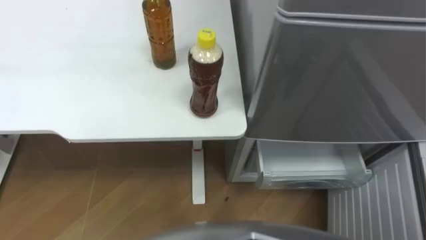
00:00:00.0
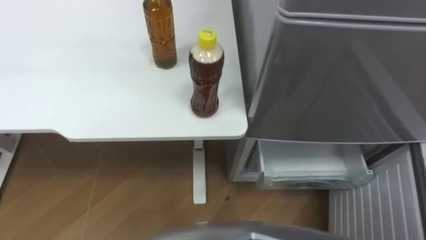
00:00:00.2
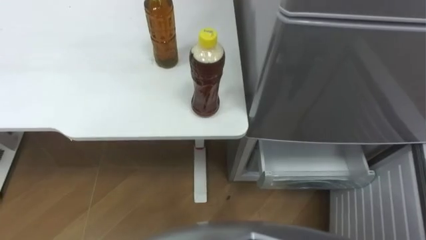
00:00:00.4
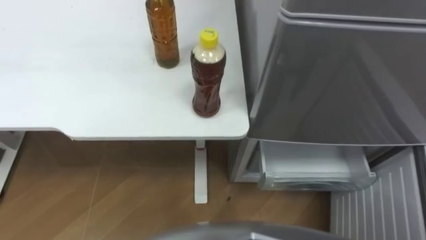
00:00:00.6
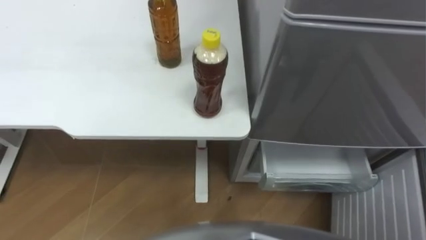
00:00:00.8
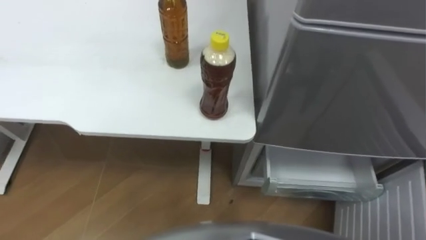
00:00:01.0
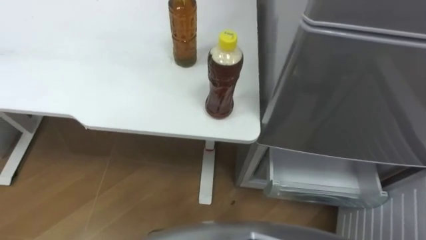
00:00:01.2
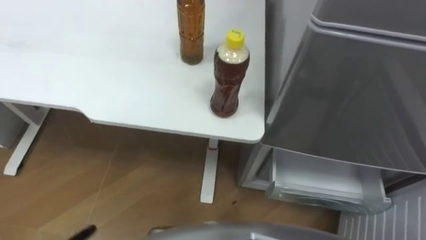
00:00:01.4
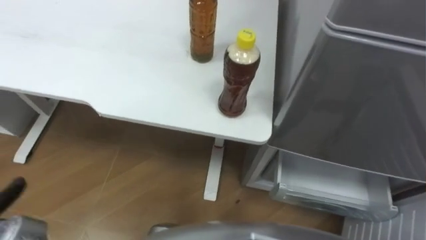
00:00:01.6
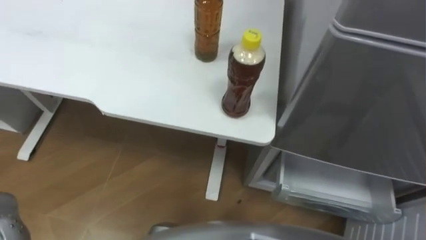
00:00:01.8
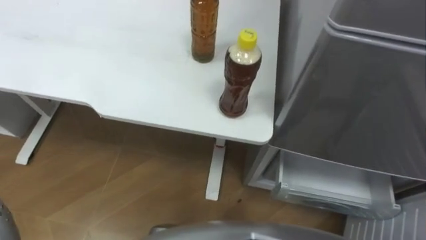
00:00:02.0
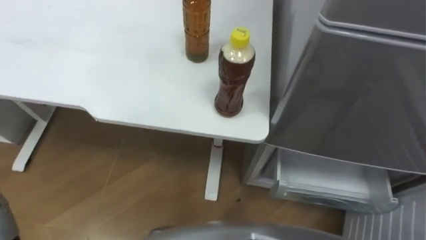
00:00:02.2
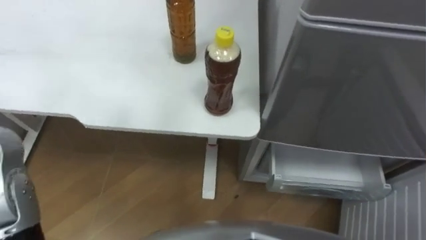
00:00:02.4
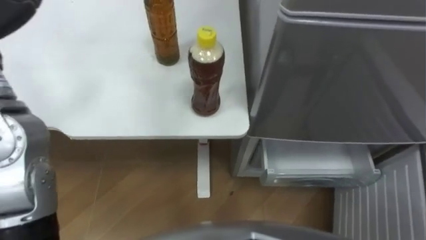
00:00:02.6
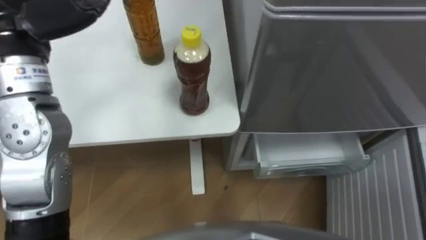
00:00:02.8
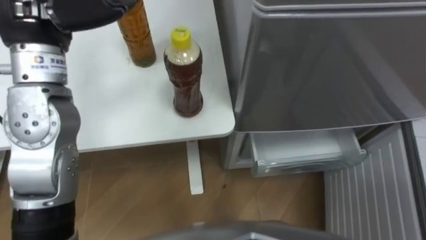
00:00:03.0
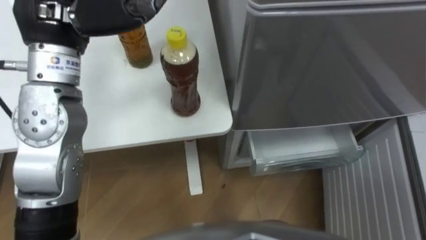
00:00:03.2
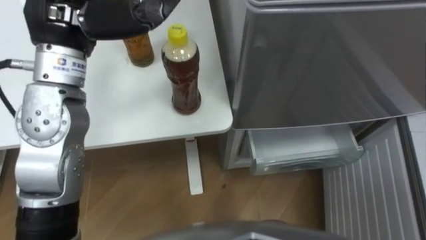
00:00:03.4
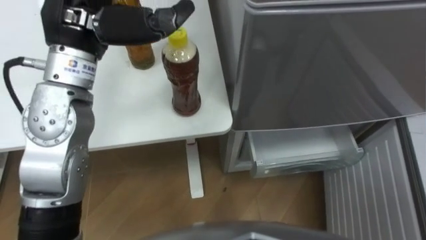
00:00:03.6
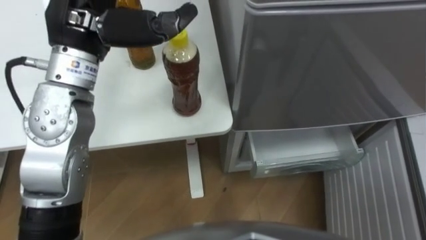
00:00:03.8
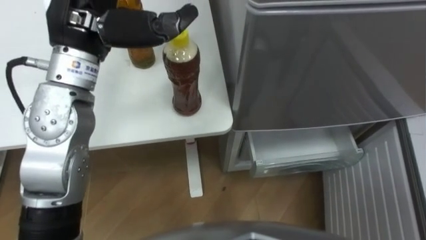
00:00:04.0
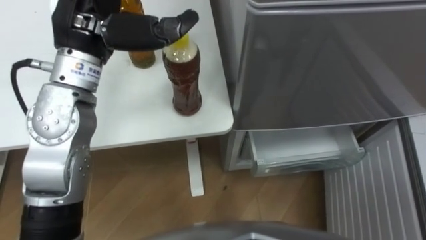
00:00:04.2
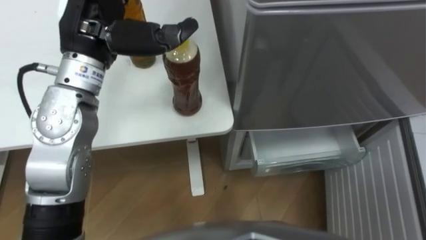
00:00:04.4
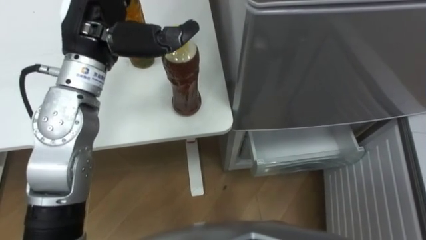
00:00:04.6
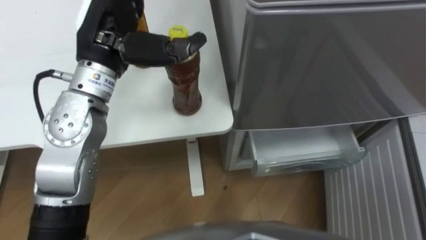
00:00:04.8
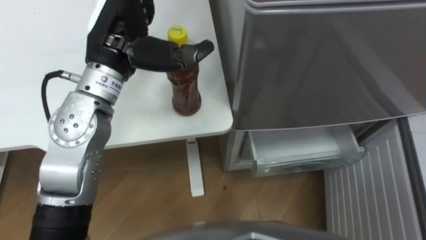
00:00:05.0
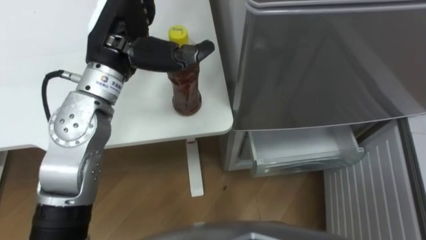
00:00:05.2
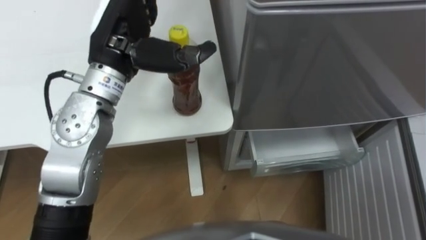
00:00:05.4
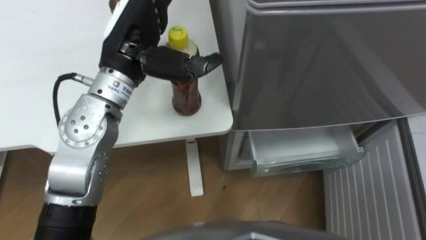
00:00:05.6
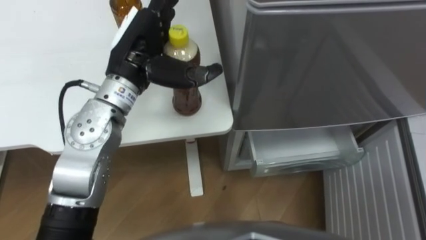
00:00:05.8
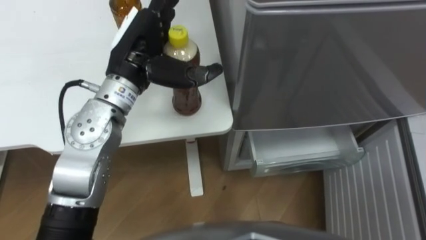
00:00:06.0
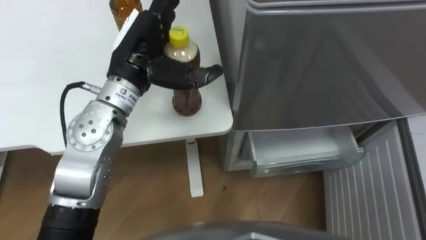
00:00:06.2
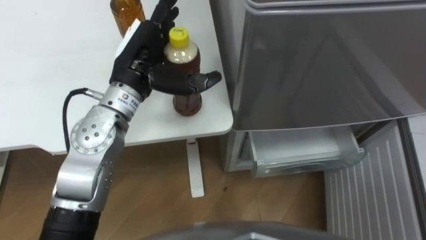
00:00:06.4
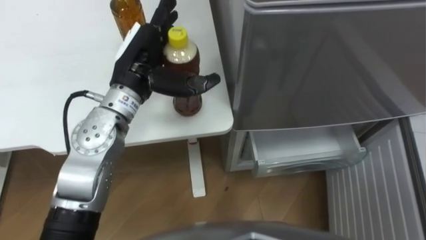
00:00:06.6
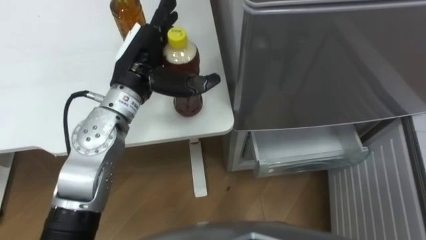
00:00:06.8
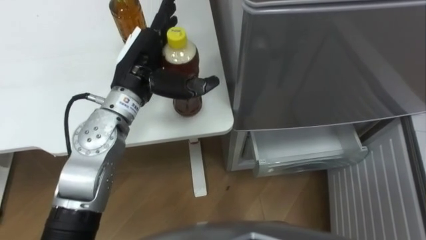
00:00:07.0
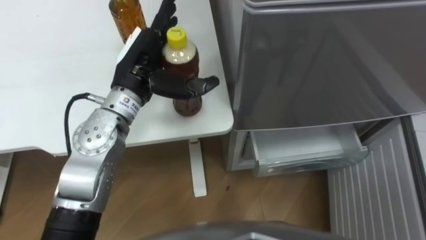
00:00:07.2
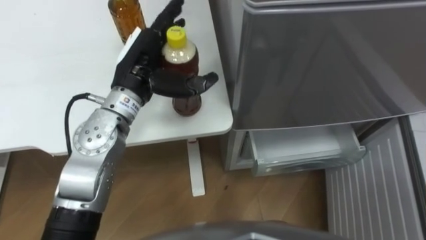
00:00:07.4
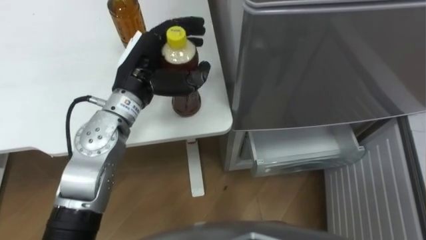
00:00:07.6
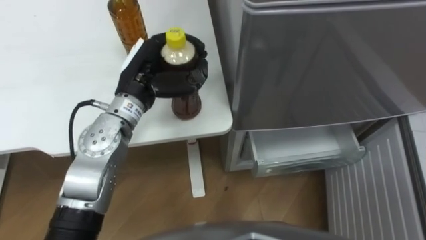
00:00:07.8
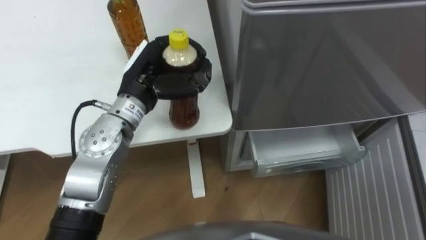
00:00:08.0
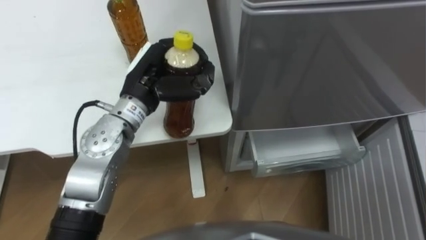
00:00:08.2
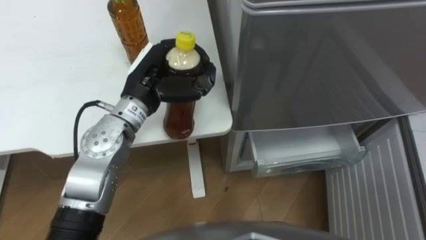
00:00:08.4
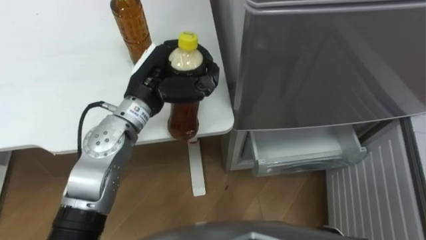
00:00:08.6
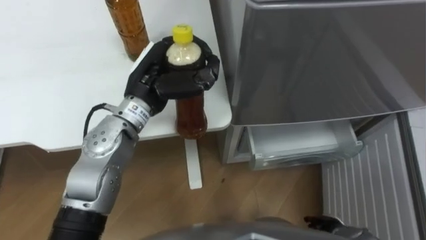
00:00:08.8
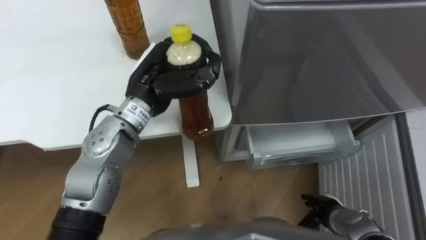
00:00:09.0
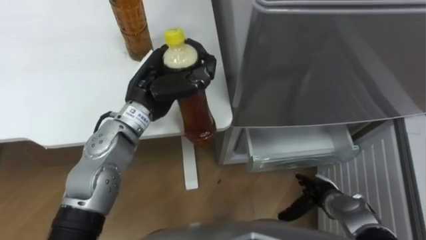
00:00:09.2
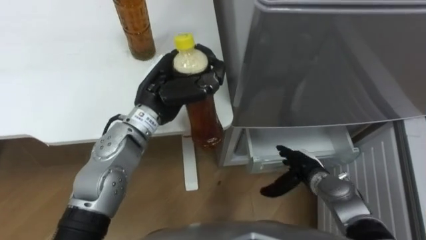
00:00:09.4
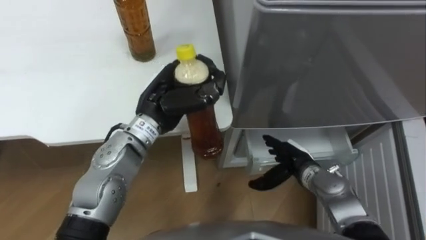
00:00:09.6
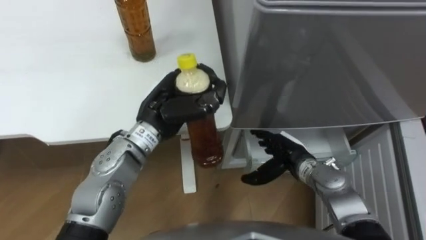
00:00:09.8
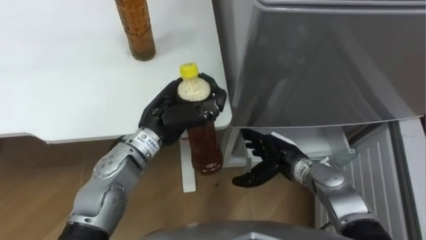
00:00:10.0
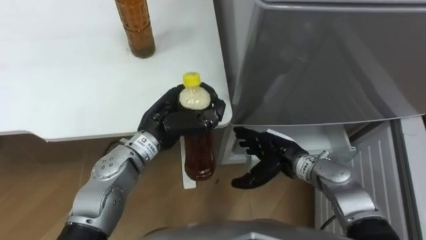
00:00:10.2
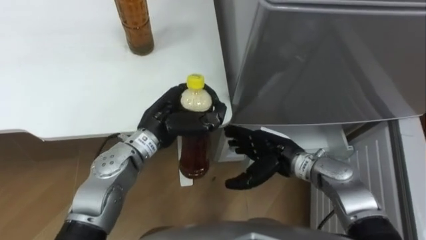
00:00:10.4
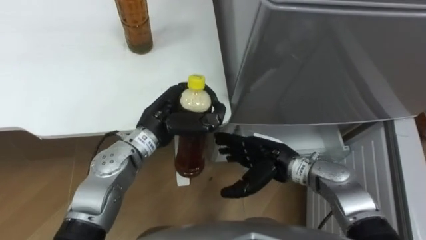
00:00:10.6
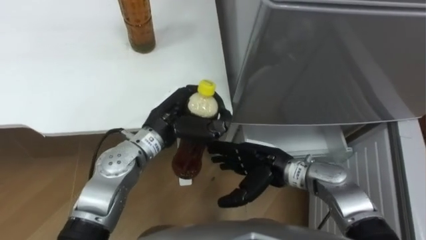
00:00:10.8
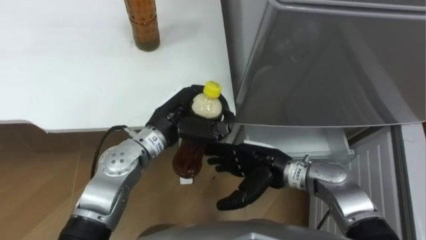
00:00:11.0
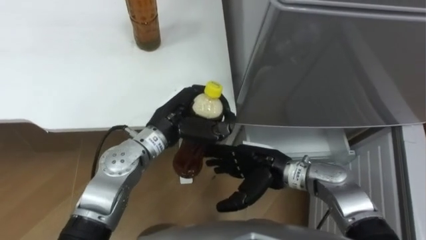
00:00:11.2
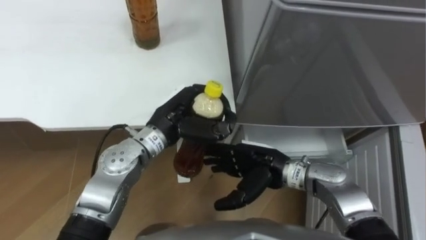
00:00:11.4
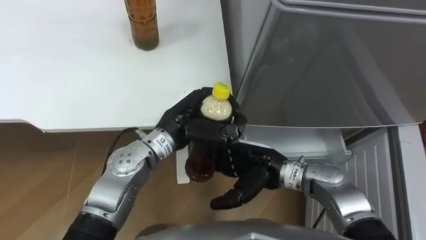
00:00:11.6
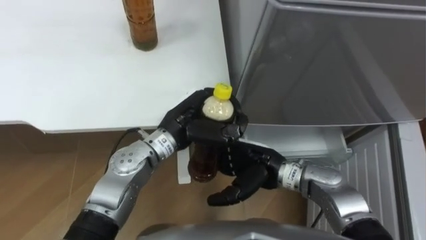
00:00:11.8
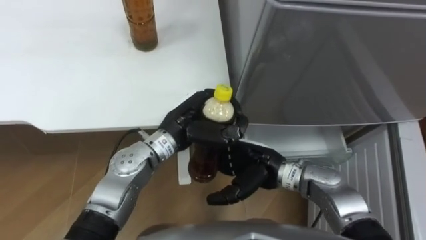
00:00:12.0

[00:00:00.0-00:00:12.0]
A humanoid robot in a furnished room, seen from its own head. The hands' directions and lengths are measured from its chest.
Task of the whole recording: Place the drink on the table on the bottom shelf of the refrigerator, then close the drawer and the refrigerator door.
00:00:03.0 to 00:00:04.4: The left hand shifts by some 5 cm.
00:00:04.4 to 00:00:06.0: The left hand moves downward, about 5 cm.
00:00:06.0 to 00:00:07.6: The left hand closes up.
00:00:07.6 to 00:00:09.0: The left hand closes.
00:00:09.0 to 00:00:10.4: The right hand travels to the left, upward and forward by roughly 20 cm. Meanwhile the left hand travels downward by roughly 5 cm.
00:00:10.4 to 00:00:12.0: The right hand ends up approximately 5 cm from where it was.

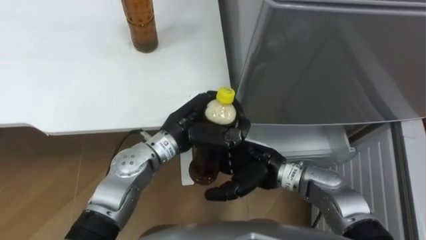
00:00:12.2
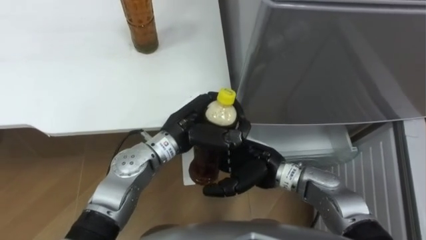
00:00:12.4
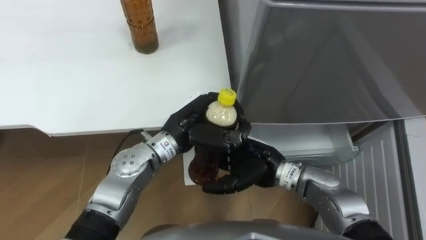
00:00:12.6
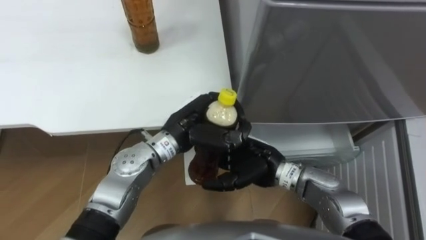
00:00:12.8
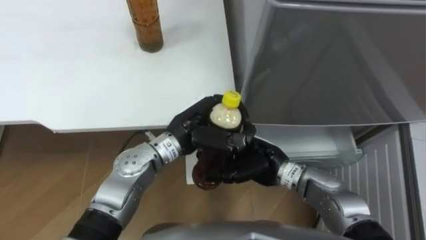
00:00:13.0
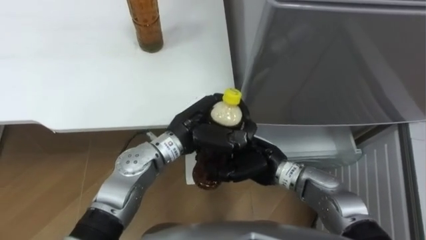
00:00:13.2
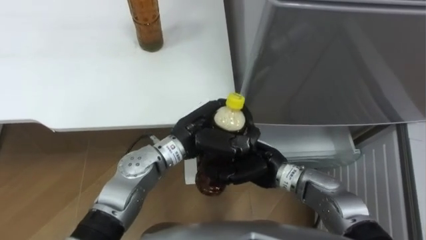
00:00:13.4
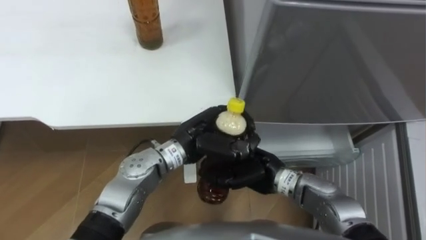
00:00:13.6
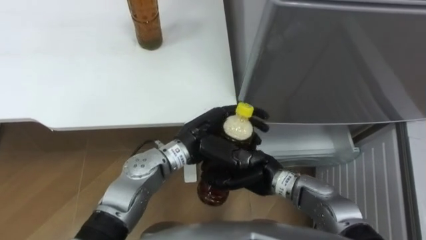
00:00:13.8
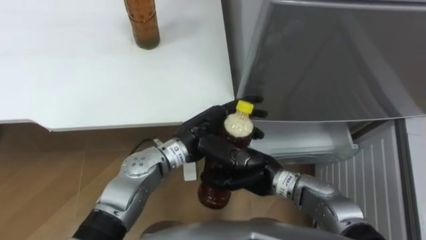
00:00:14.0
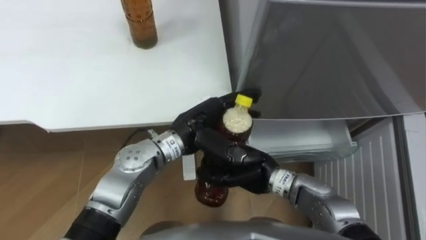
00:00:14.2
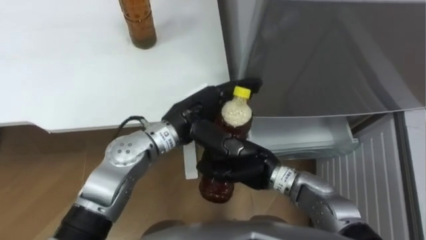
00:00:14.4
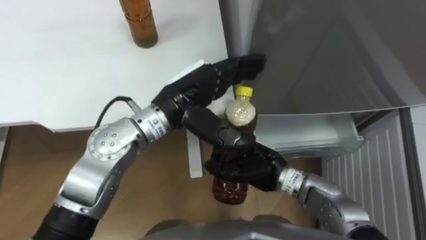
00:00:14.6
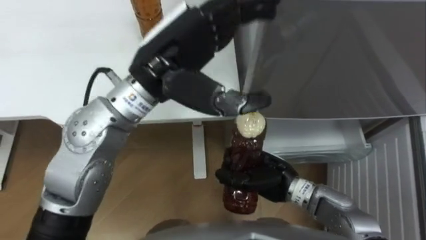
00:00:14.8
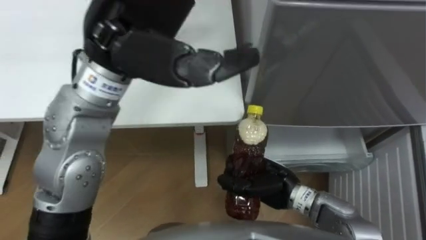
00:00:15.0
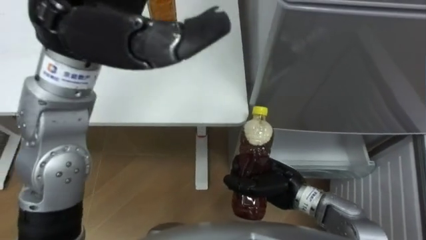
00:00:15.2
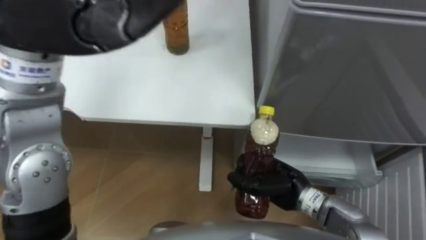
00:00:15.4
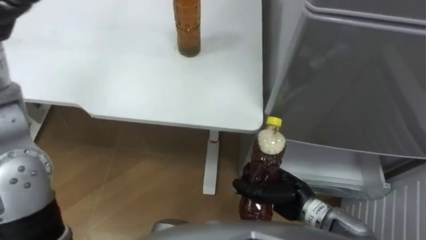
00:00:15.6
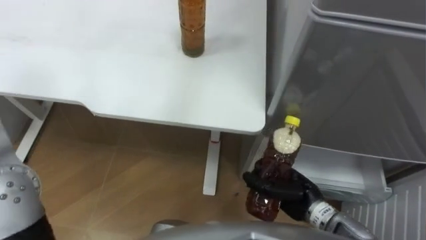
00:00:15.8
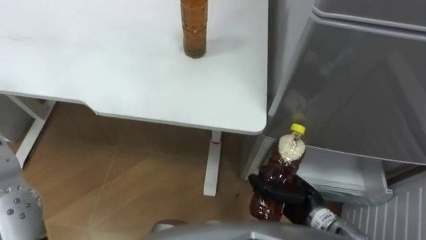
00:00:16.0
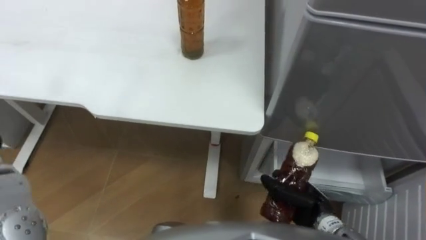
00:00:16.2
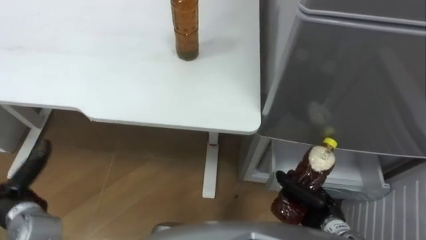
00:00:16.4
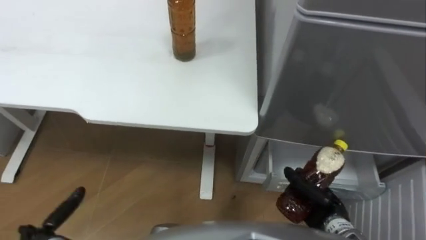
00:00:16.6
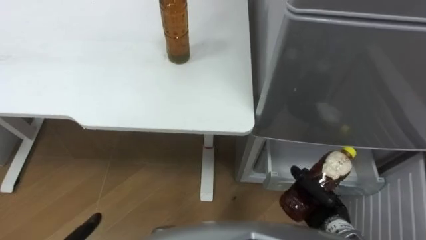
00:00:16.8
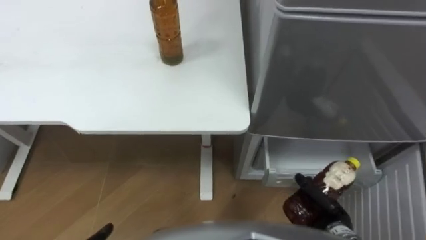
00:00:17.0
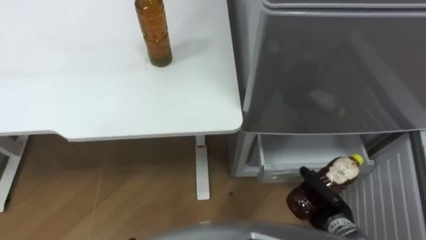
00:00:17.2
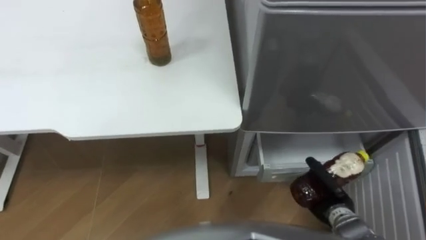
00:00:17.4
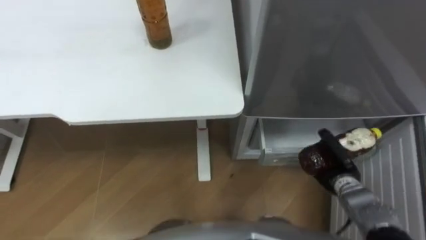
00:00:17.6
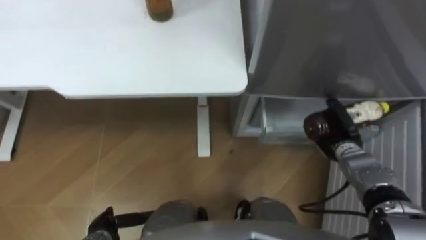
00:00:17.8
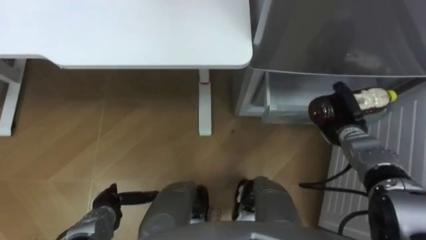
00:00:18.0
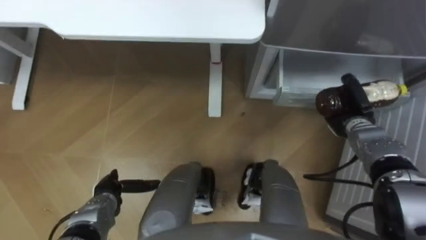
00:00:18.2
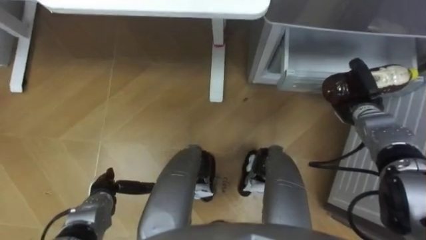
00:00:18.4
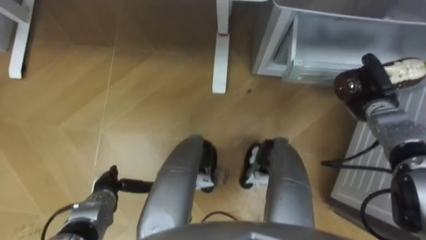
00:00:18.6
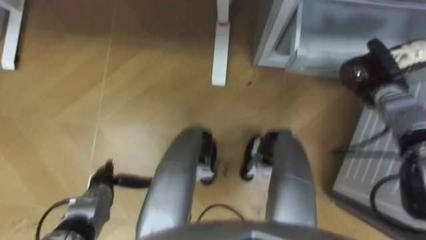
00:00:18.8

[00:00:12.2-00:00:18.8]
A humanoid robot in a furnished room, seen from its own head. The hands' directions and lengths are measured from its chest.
Task of the whole recording: Place the drink on the table on the bottom shelf of the refrigerator, then close the drawer and the refrigerator door.
00:00:12.2 to 00:00:13.8: The right hand closes up, while the left hand opens.
00:00:13.8 to 00:00:15.4: The left hand shifts some 35 cm upward and to the left, and opens; the right hand moves to the right, some 5 cm.
00:00:15.4 to 00:00:17.2: The right hand goes some 15 cm to the right, downward and backward.
00:00:17.2 to 00:00:18.8: The right hand heads forward and upward, covering roughly 25 cm.
